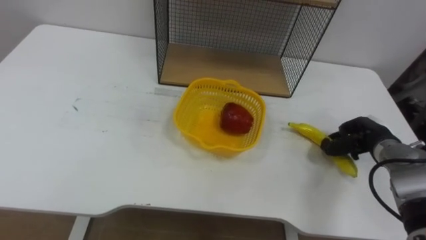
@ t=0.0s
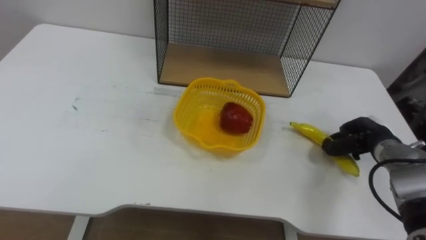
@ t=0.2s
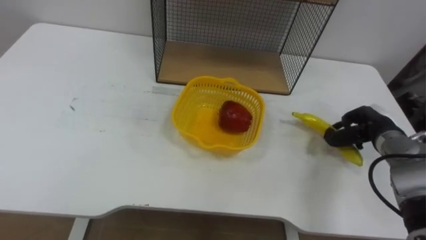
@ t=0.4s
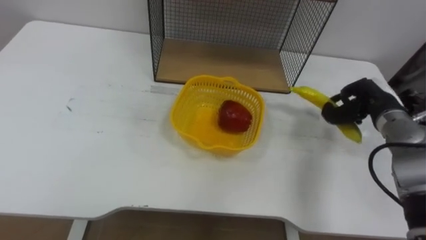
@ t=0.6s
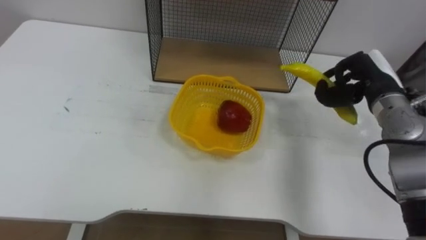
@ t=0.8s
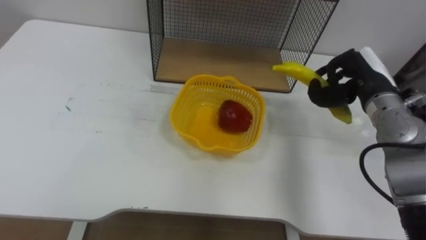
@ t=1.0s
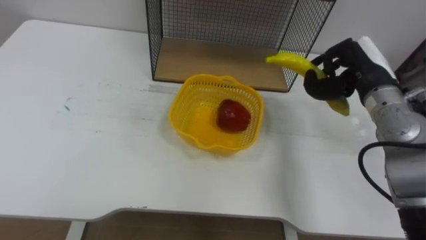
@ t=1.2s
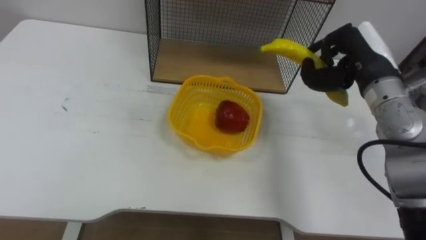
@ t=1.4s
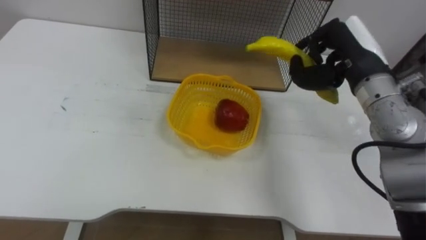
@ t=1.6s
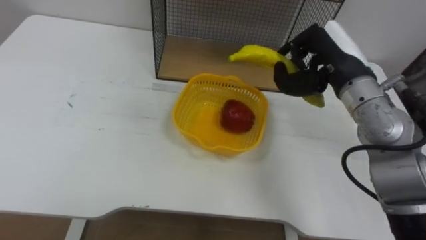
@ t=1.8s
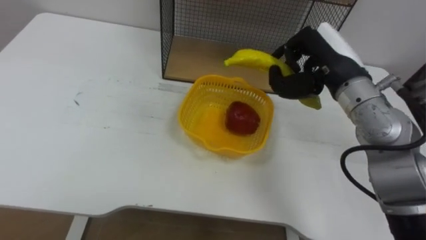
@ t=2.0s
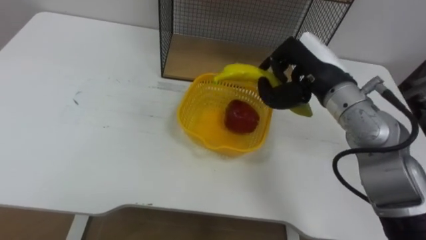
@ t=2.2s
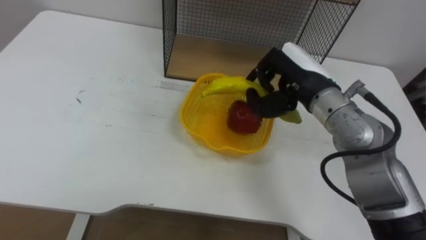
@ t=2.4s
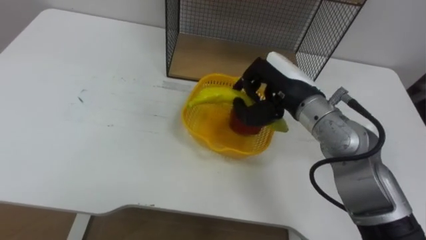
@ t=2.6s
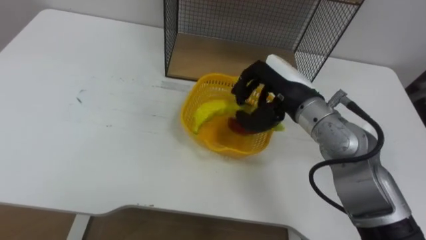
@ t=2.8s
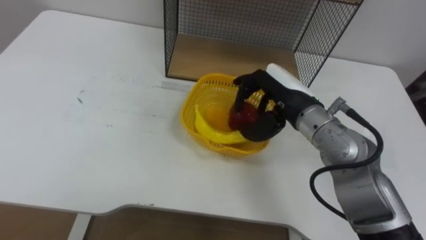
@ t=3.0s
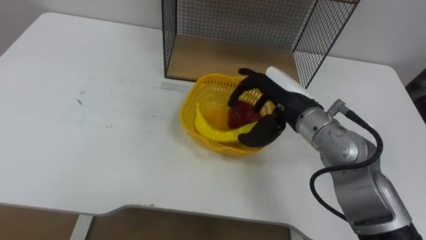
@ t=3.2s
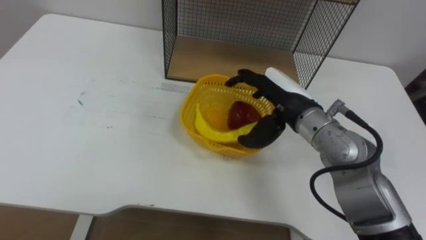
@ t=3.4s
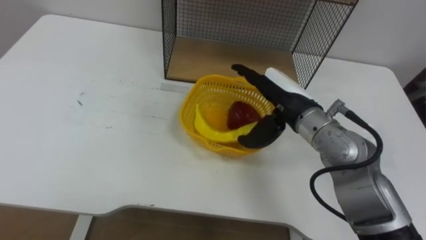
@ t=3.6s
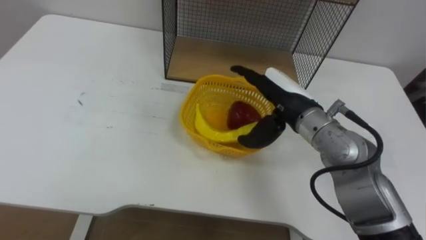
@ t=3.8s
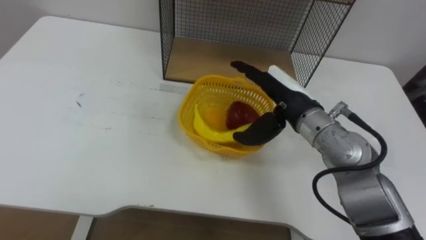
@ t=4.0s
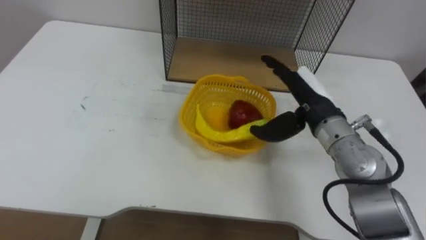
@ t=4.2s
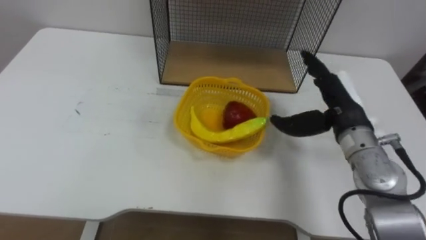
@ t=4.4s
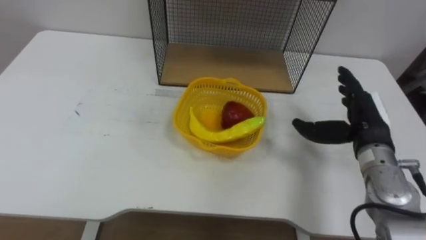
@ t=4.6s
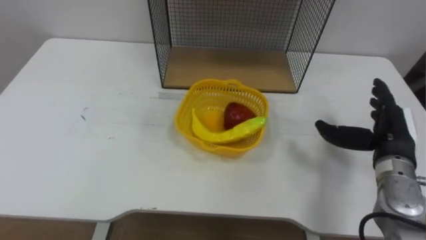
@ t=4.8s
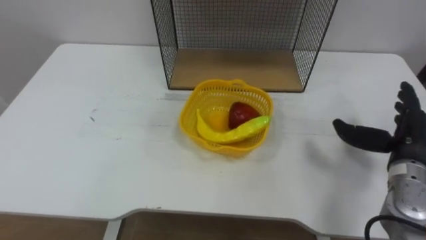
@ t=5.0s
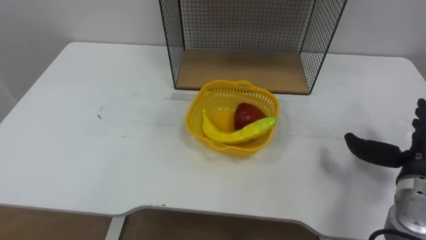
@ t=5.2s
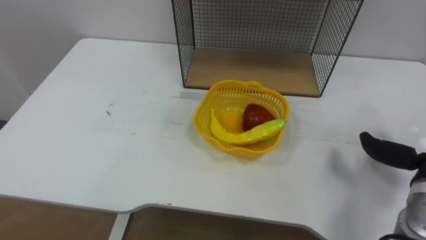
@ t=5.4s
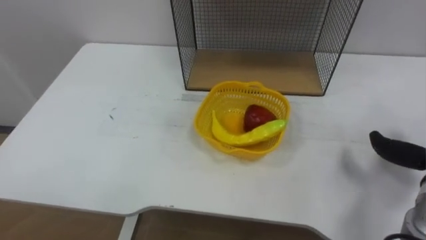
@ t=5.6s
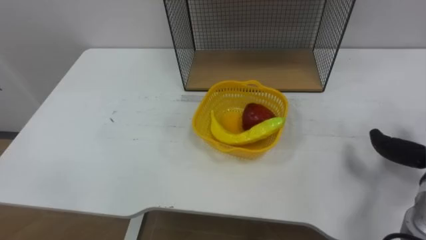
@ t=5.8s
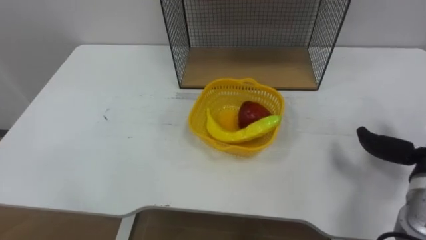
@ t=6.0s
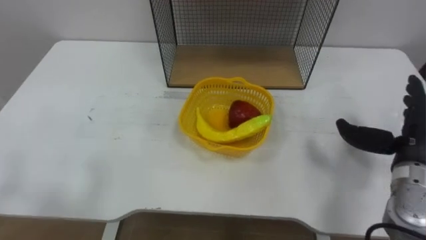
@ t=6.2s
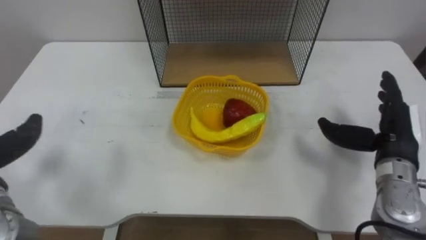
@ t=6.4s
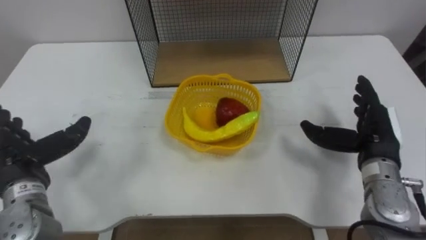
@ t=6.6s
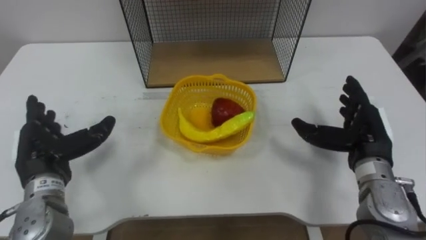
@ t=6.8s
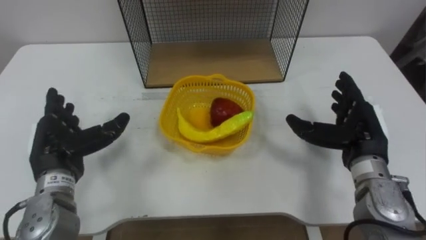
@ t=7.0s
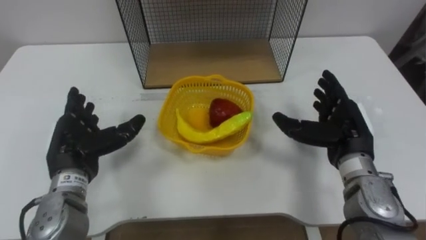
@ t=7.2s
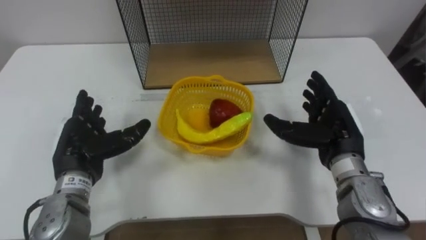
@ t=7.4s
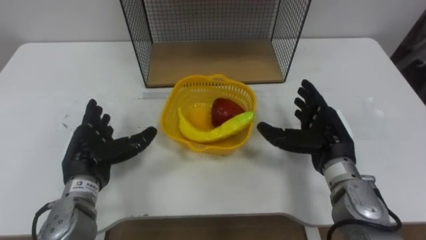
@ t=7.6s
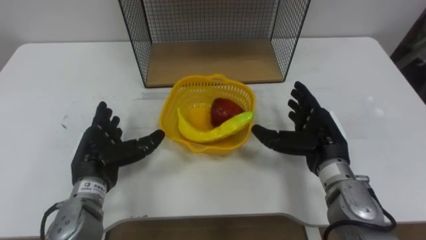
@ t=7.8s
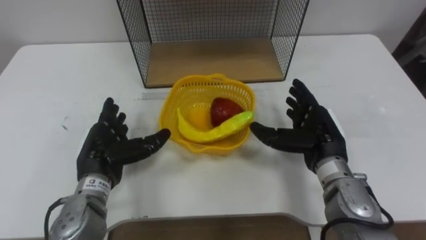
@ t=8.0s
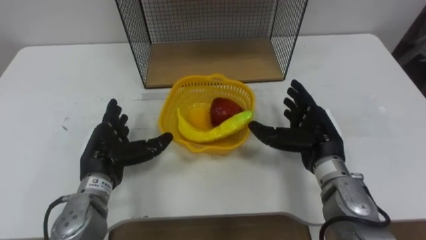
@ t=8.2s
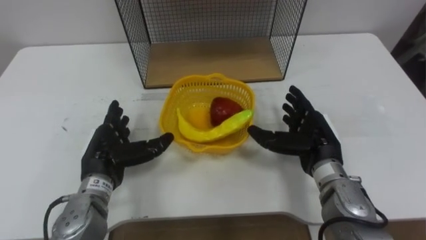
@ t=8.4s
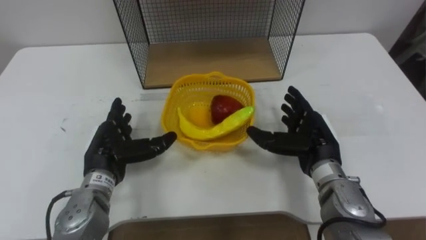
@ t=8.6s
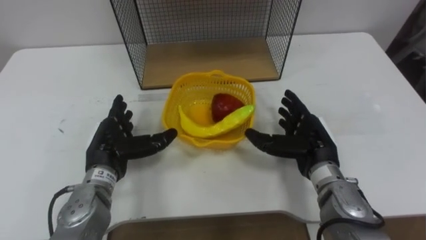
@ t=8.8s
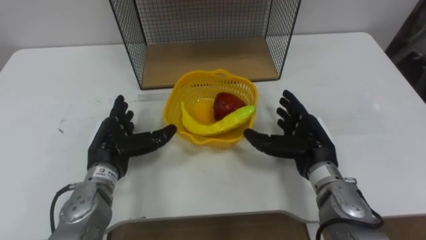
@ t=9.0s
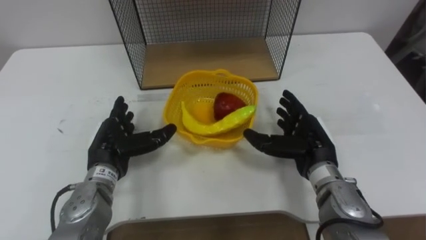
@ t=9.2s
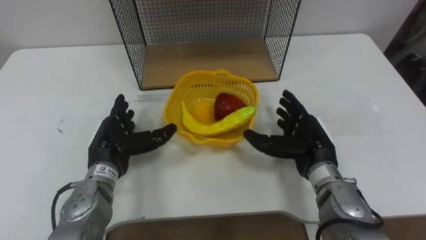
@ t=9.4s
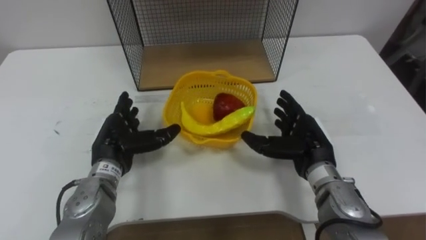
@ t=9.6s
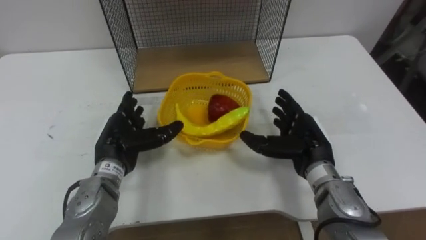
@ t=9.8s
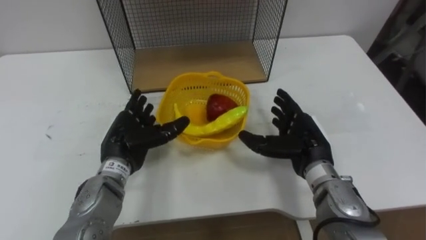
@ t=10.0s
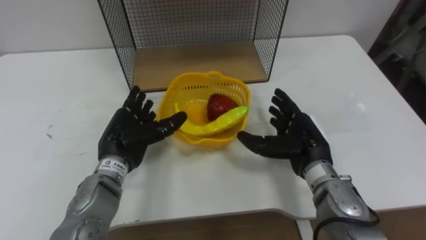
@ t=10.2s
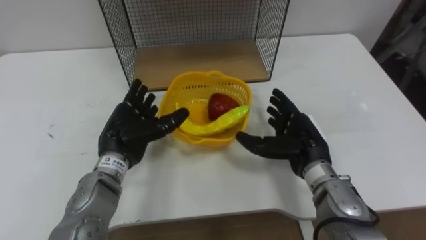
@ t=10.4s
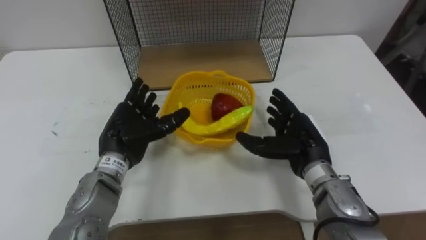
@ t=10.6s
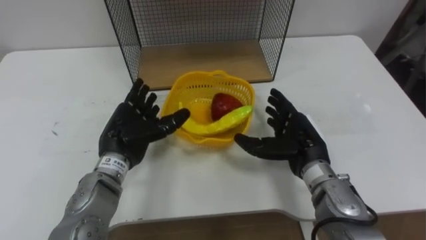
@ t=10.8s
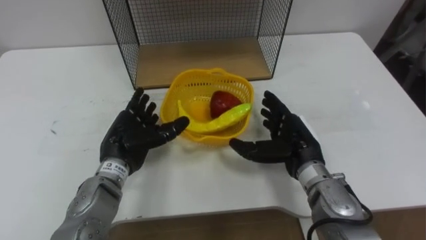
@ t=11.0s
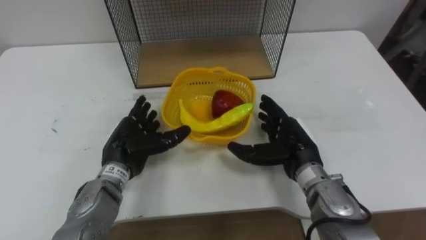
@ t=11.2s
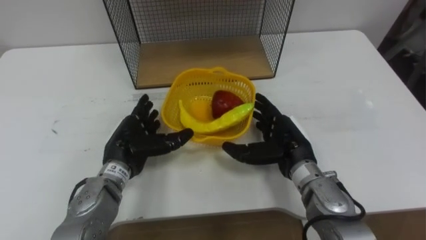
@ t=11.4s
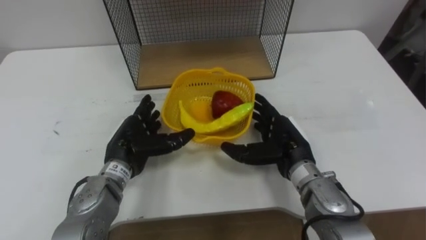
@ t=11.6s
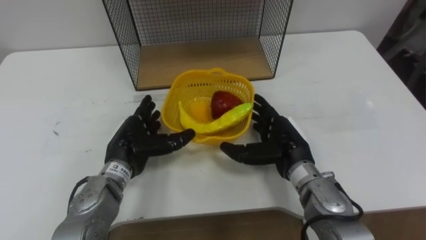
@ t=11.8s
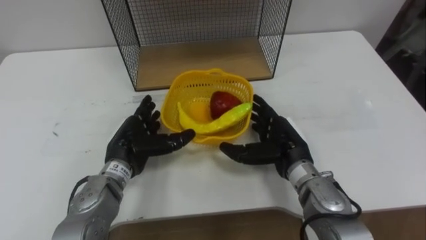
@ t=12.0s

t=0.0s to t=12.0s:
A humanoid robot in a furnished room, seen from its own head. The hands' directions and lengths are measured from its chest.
Task of the whole recording: Put the fruit on the table into the basket, then place the basket on the shelf.
t=0.0s to t=1.6s: The right hand goes about 20 cm upward and to the left.
t=1.6s to t=3.0s: The right hand moves to the left and downward, roughly 10 cm, and opens its fingers.
t=3.0s to t=4.4s: The right hand moves to the right, some 10 cm, and opens.
t=10.4s to t=12.0s: The hands move only a little.

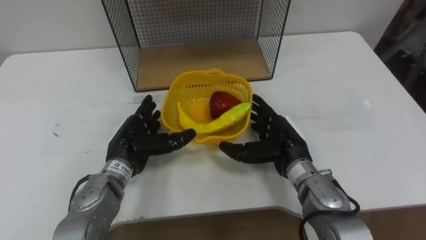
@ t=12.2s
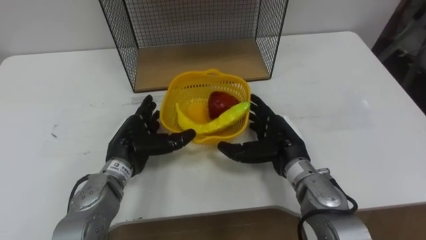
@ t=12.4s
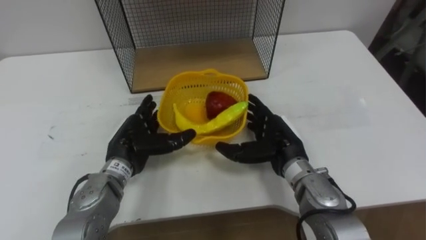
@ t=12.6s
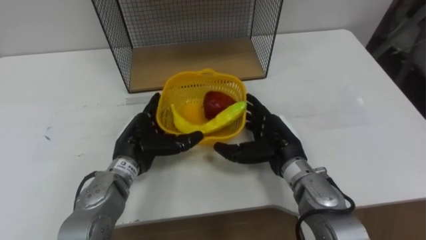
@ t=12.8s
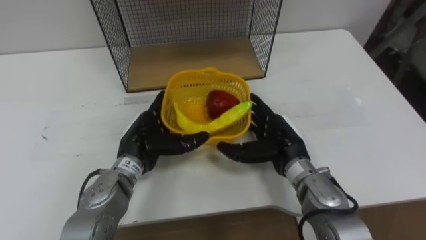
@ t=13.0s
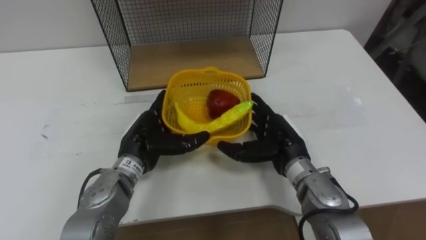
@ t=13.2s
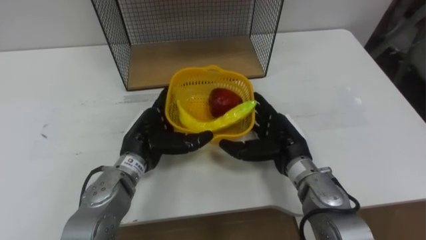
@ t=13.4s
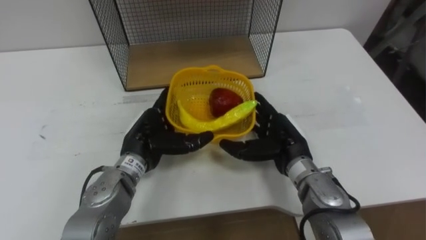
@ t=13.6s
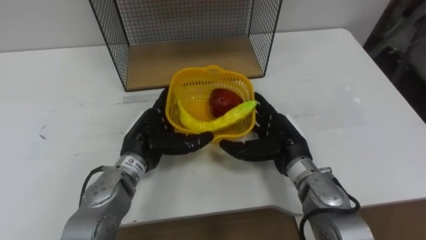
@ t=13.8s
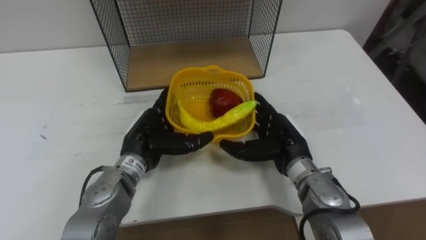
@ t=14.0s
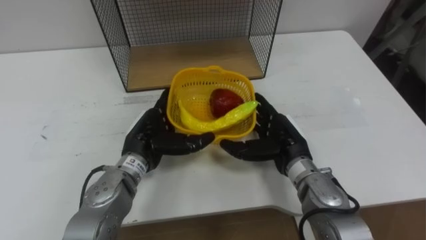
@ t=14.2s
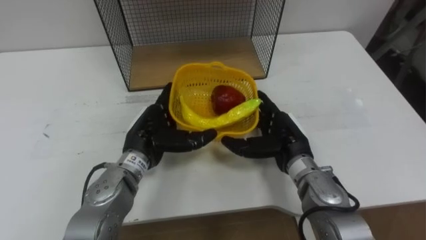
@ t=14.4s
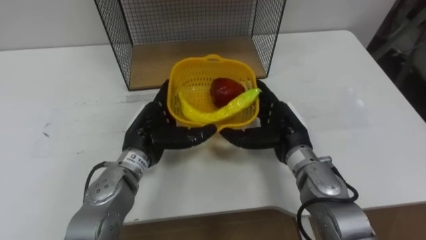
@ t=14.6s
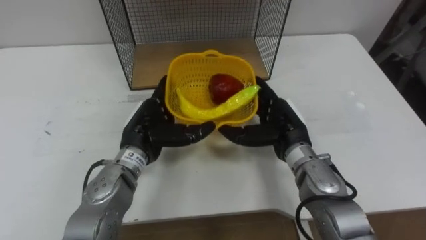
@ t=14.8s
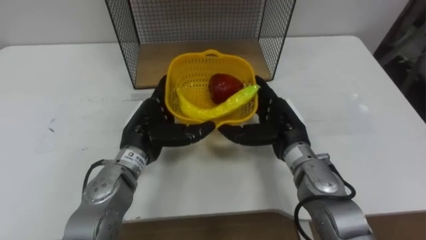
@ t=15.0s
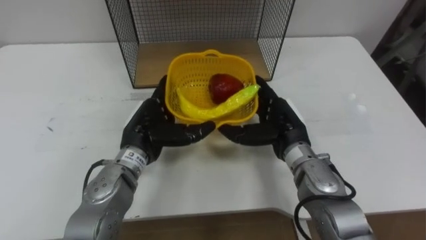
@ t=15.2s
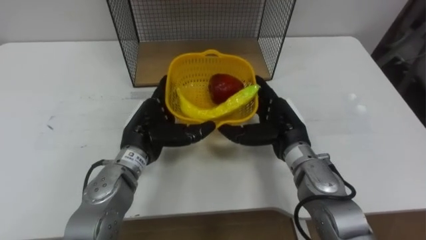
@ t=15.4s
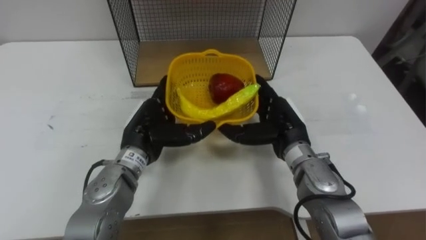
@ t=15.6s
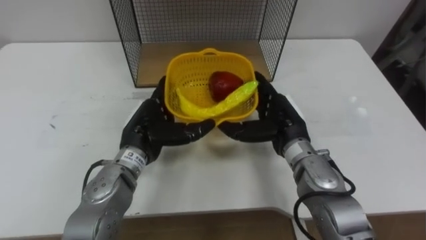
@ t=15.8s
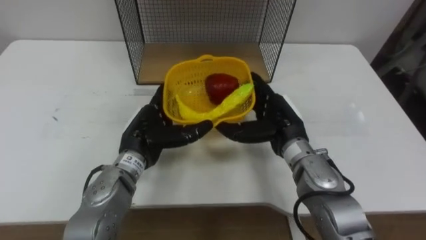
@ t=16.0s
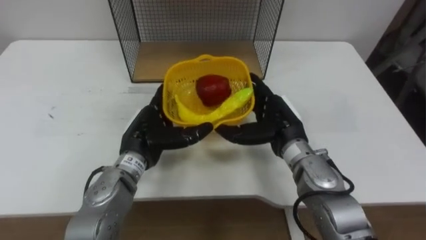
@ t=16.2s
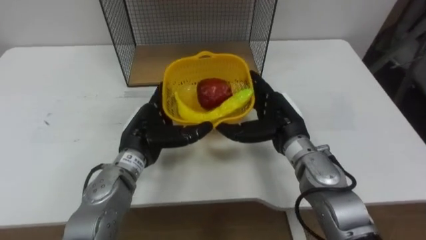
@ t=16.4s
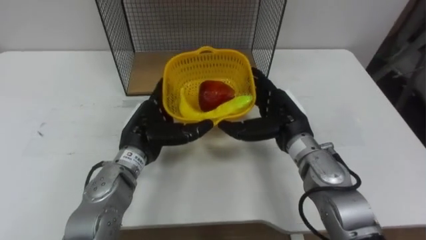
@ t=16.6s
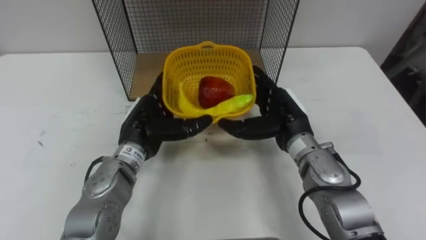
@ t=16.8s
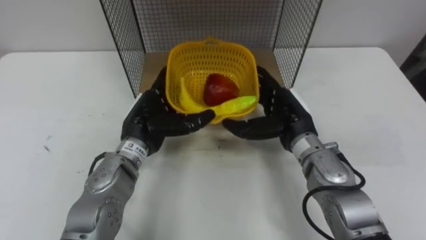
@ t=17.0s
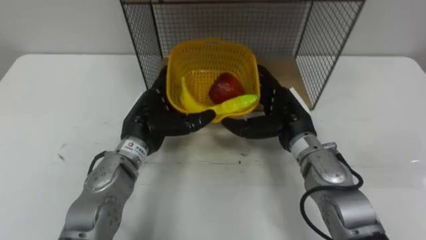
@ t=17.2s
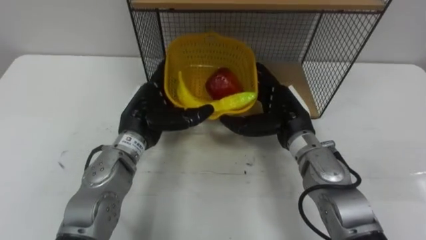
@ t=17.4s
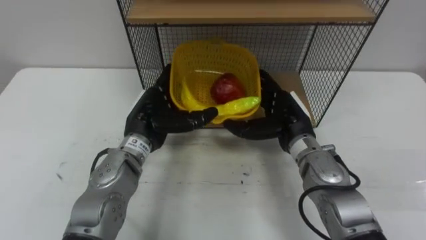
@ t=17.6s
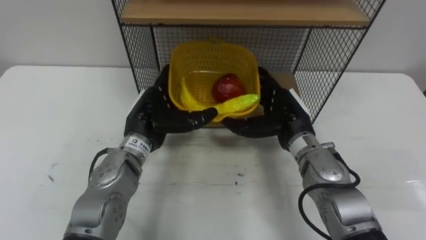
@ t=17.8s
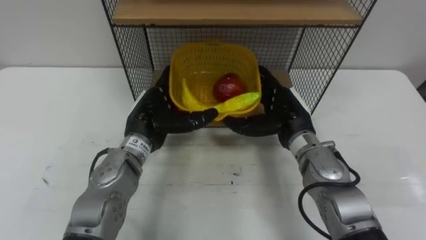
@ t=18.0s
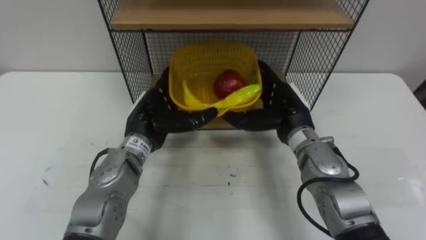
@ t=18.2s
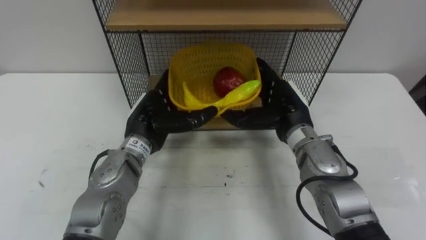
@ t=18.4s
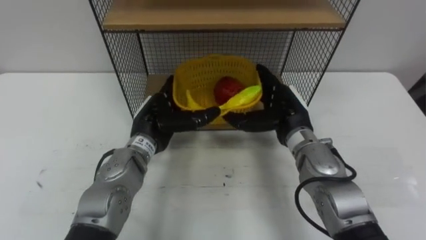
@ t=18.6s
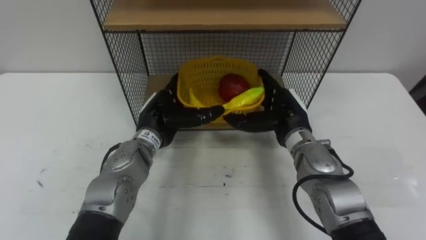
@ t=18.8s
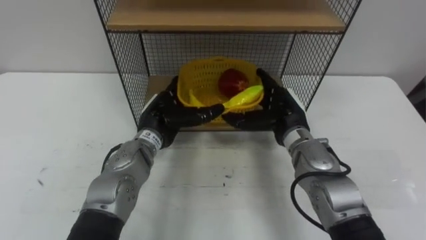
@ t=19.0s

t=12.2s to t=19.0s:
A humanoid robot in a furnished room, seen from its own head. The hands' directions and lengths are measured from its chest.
Task of the whole recording: Put the fruit on the table into the basket, then place the basket on the shelf.
t=12.2s to t=13.6s: There are only small adjustments of the hands.
